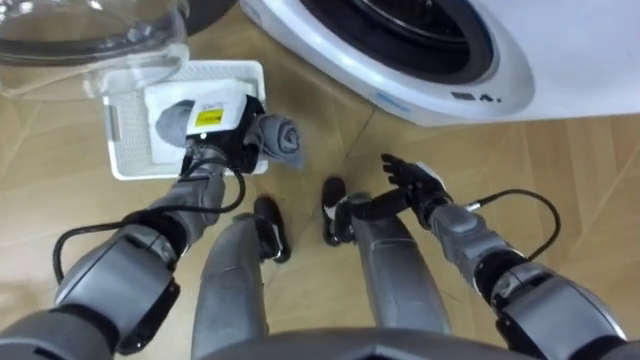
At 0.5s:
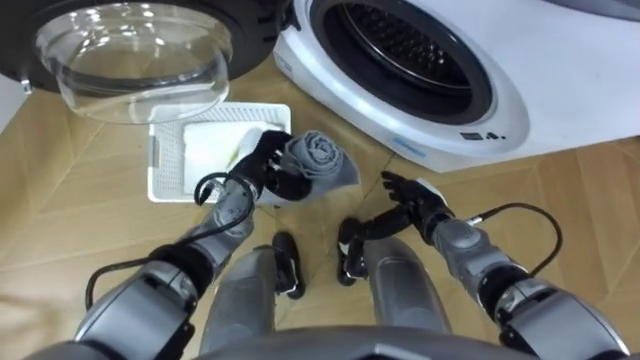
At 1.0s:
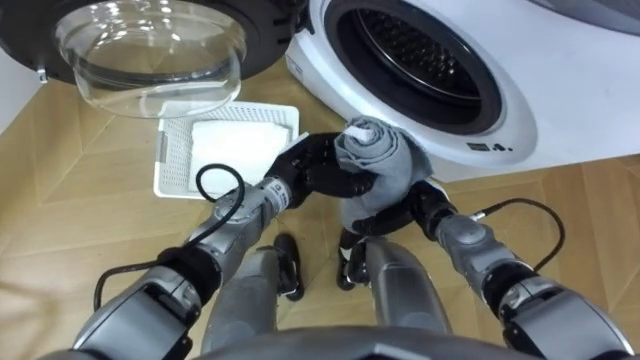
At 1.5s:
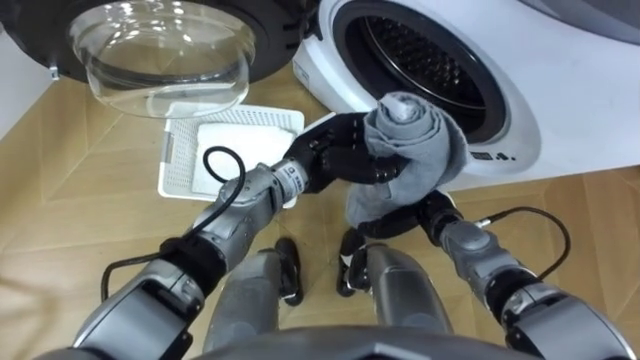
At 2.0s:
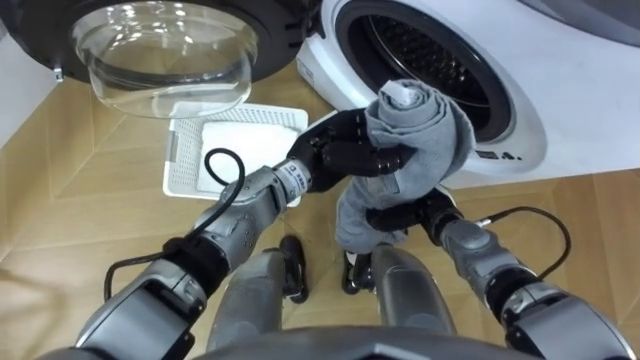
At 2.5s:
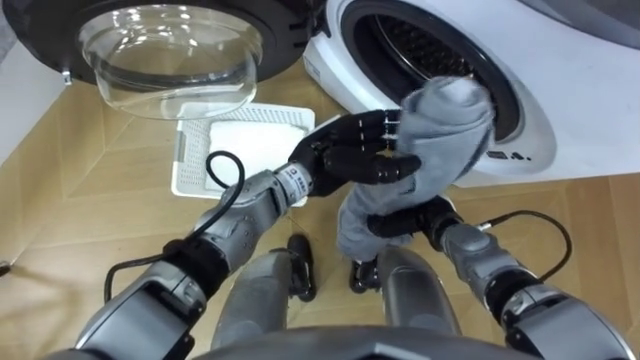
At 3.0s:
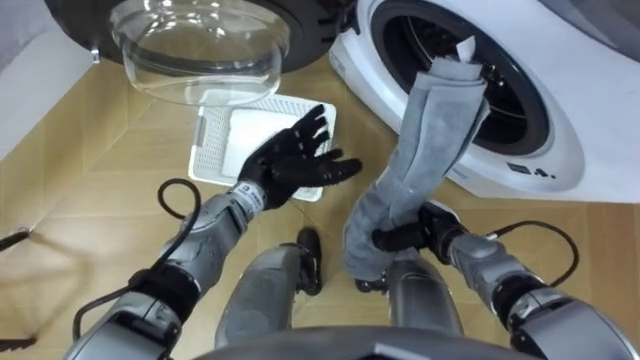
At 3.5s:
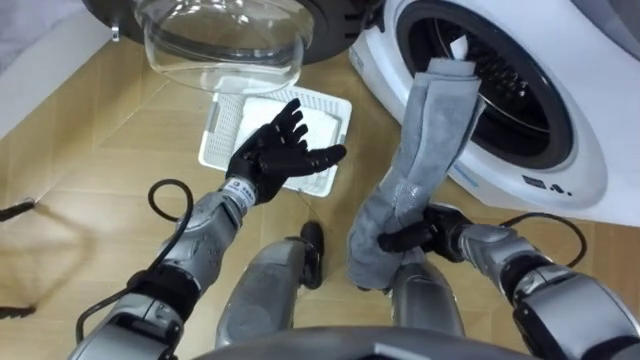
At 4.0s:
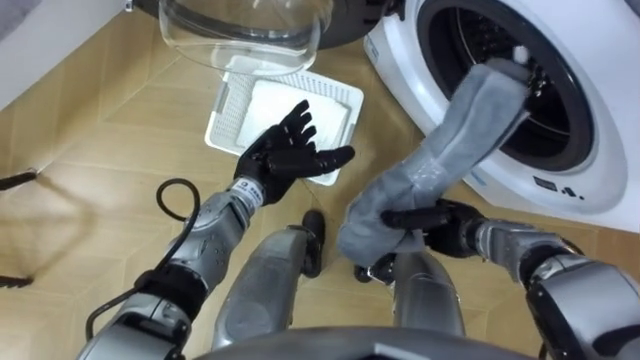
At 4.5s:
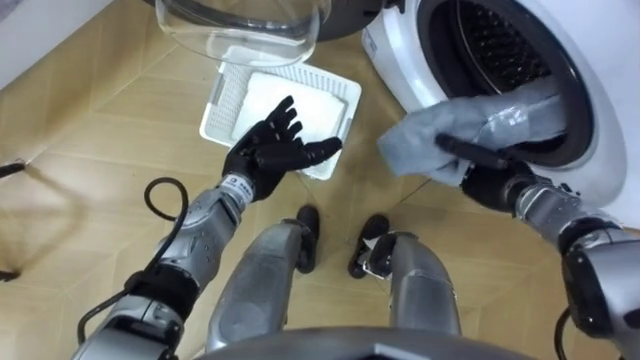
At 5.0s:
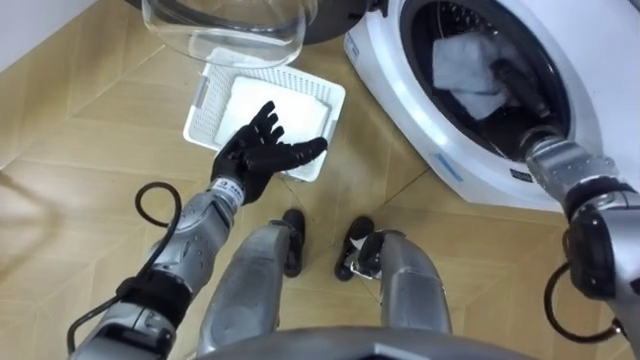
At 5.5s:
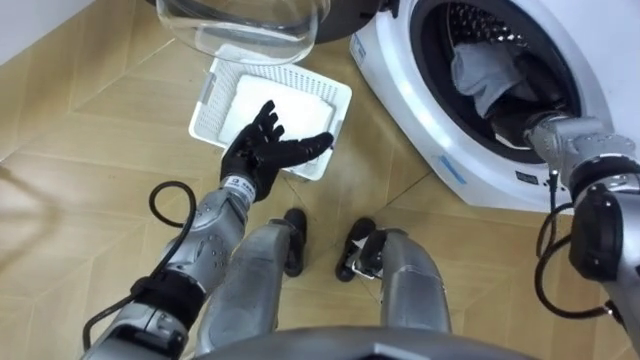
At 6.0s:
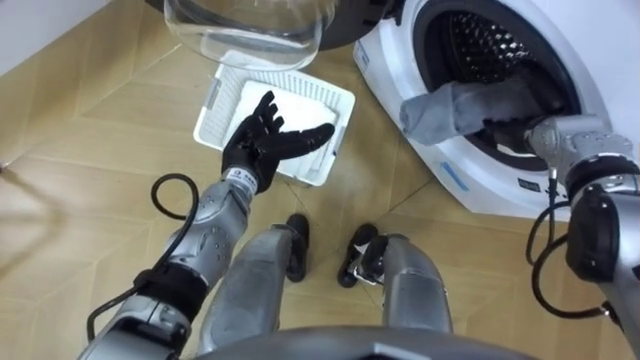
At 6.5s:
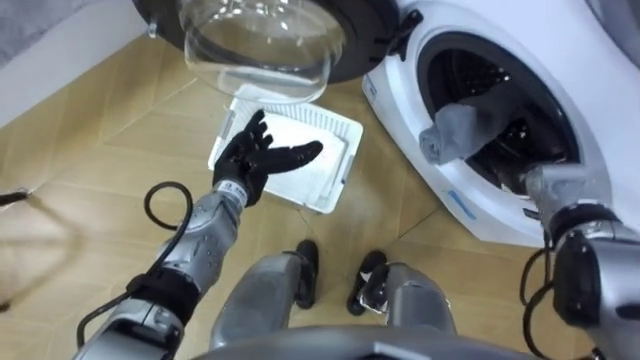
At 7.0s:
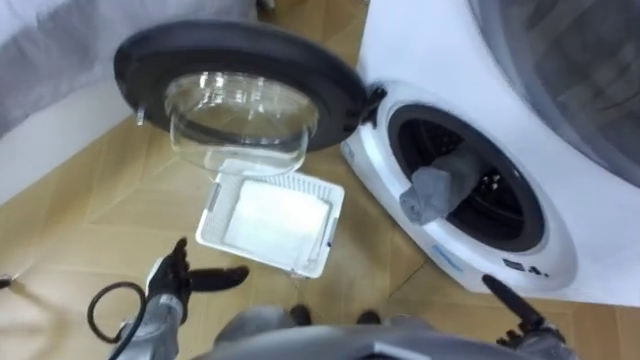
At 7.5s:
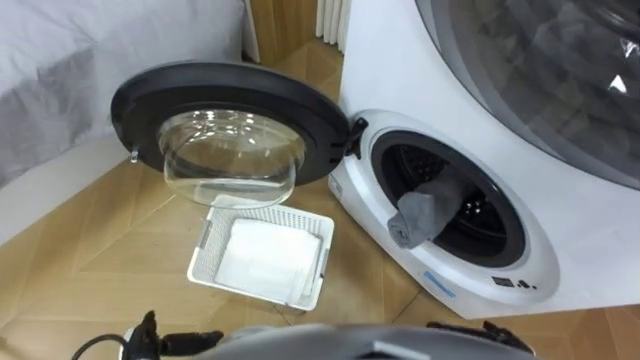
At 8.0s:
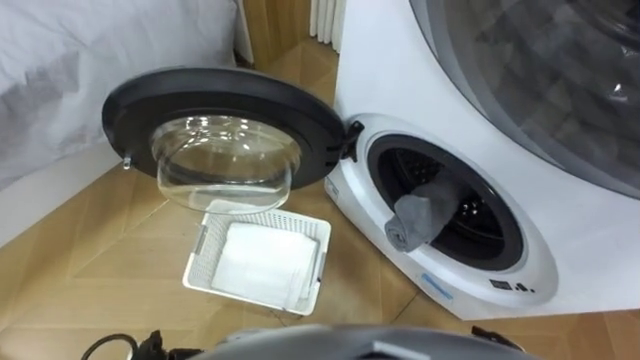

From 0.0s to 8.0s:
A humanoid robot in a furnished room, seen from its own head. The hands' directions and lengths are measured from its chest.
Task of the whole recording: Take the towel from the basket and put it into the washing machine.
From 0.0s to 2.0s: The left hand goes approximately 15 cm to the right; the right hand closes.
From 2.0s to 4.0s: The left hand goes roughly 10 cm to the left, and opens its fingers.
From 4.0s to 6.0s: The right hand travels forward, to the right and upward by approximately 20 cm, and opens.

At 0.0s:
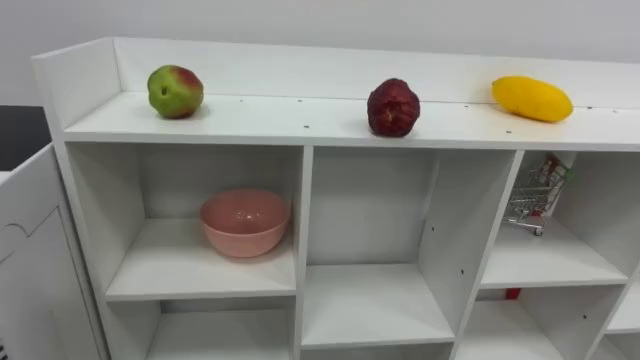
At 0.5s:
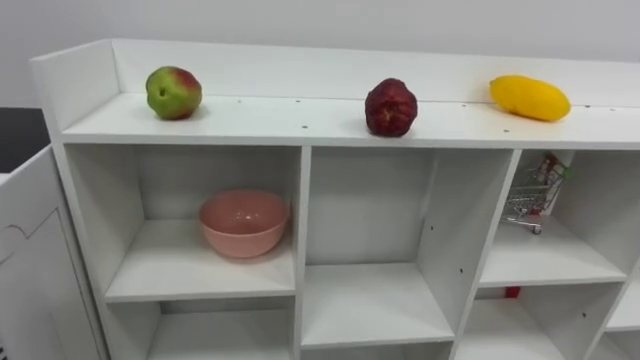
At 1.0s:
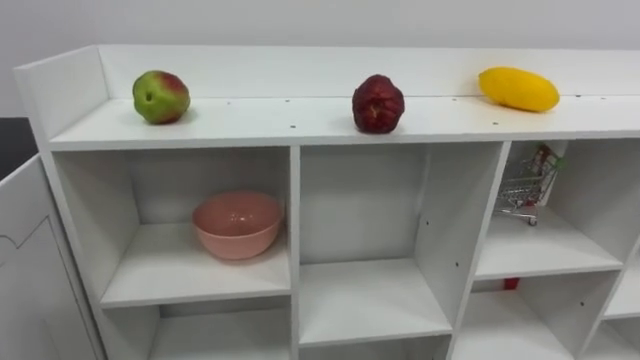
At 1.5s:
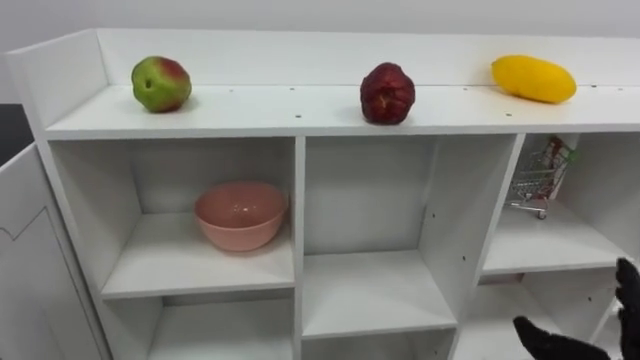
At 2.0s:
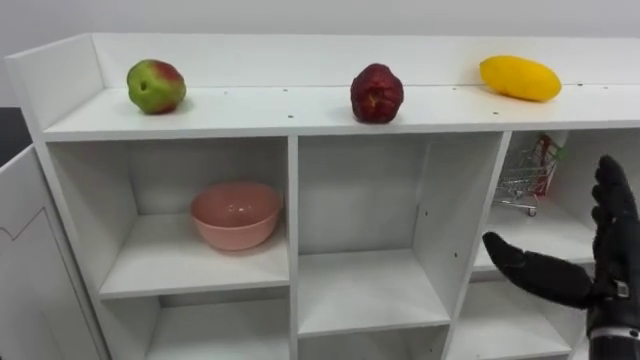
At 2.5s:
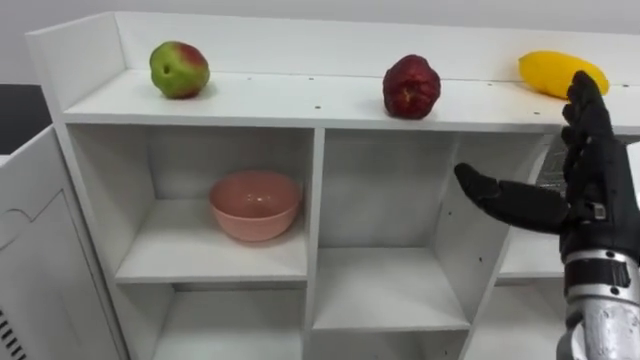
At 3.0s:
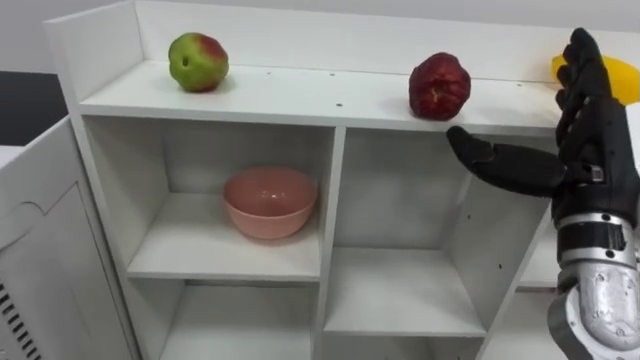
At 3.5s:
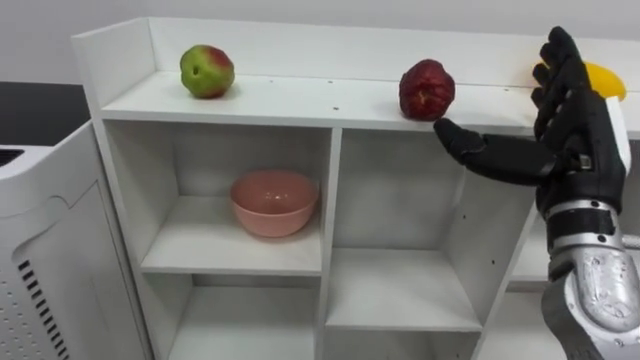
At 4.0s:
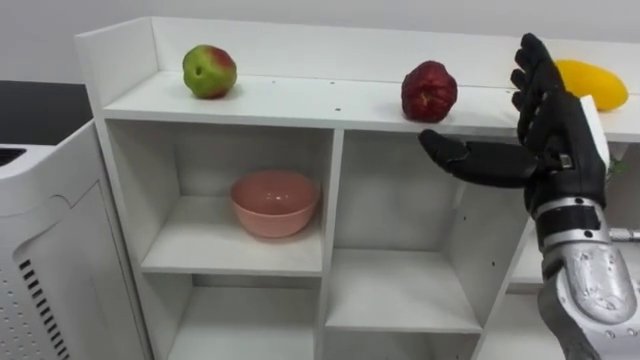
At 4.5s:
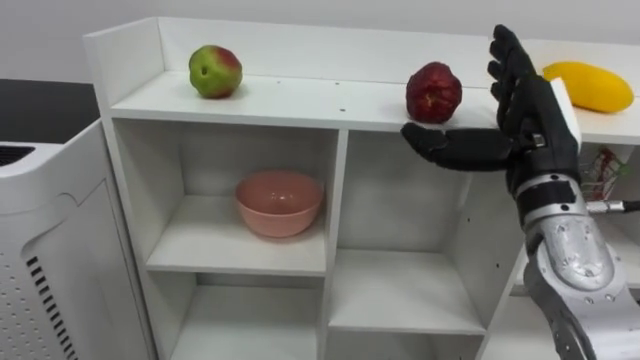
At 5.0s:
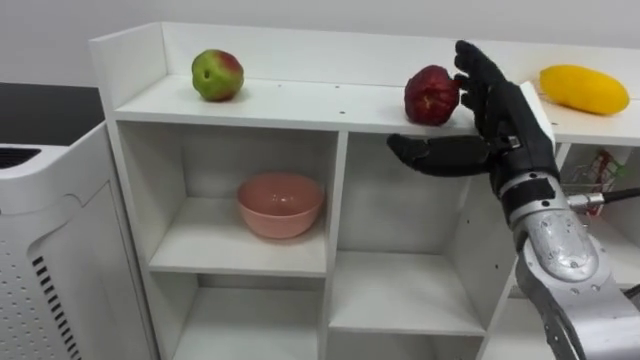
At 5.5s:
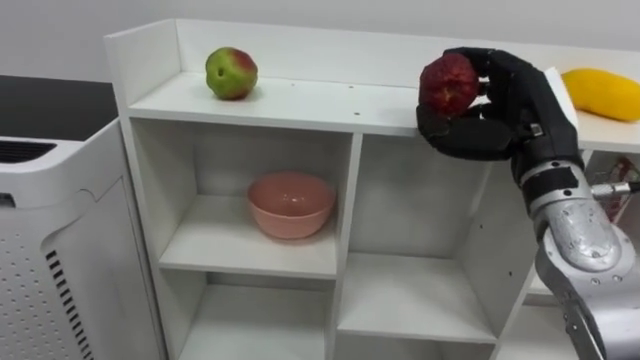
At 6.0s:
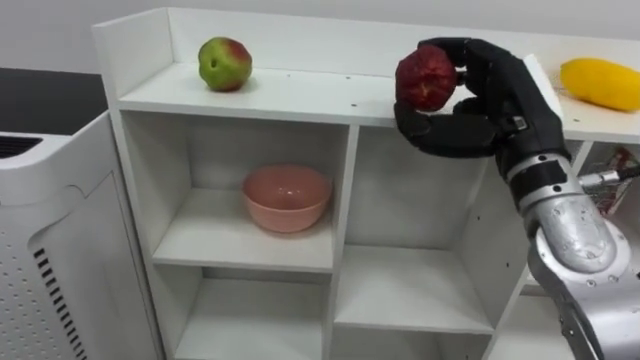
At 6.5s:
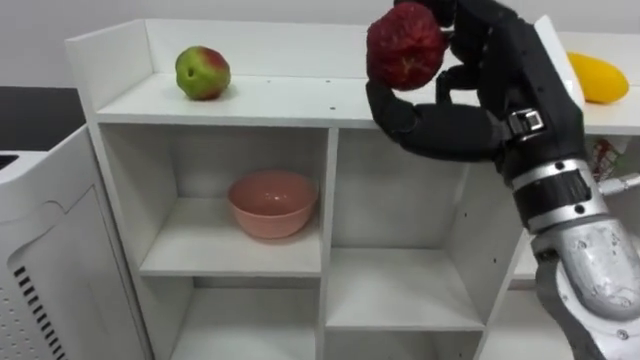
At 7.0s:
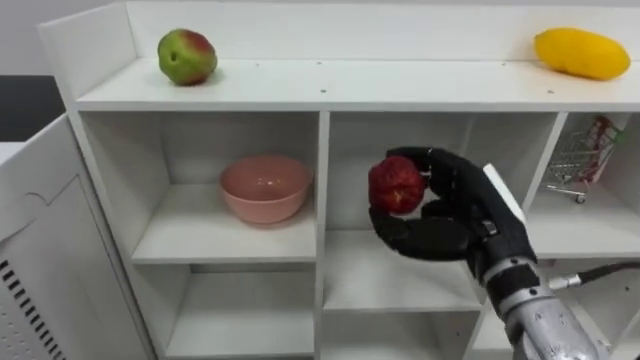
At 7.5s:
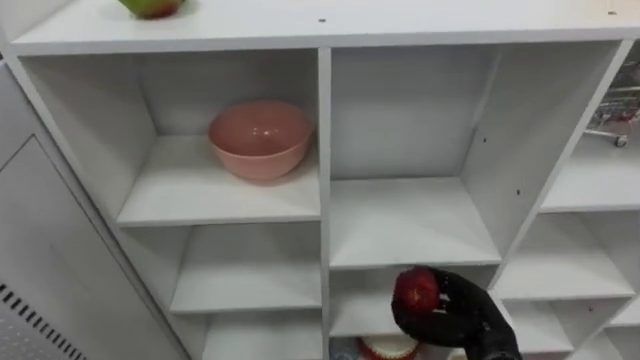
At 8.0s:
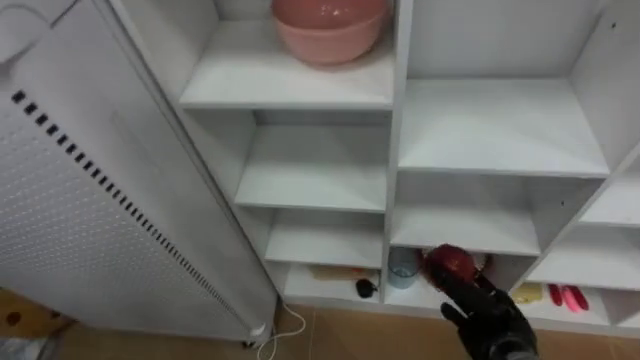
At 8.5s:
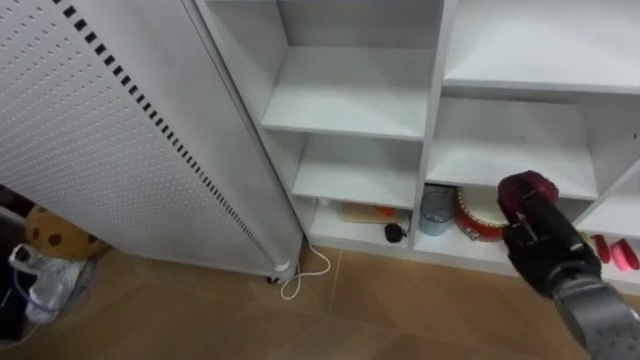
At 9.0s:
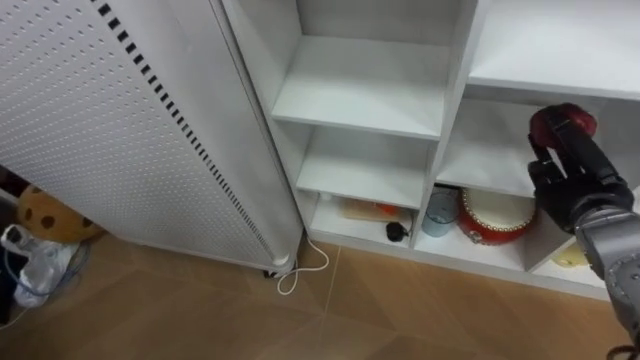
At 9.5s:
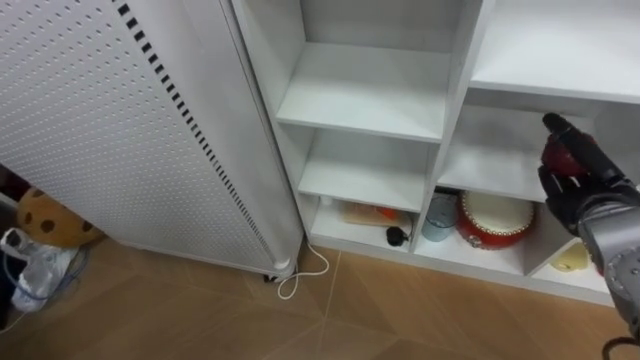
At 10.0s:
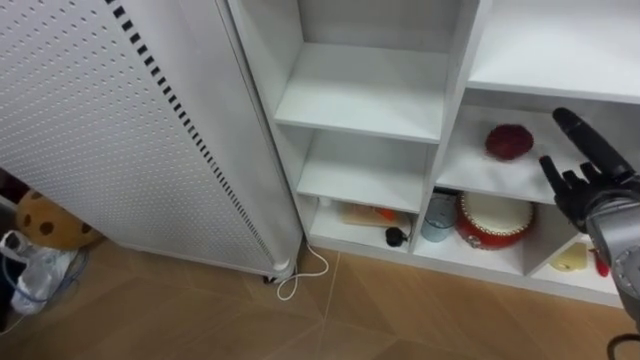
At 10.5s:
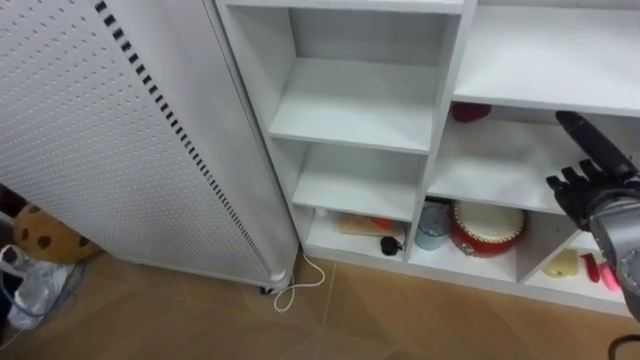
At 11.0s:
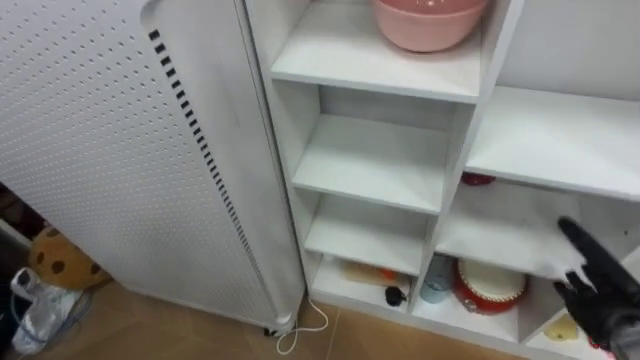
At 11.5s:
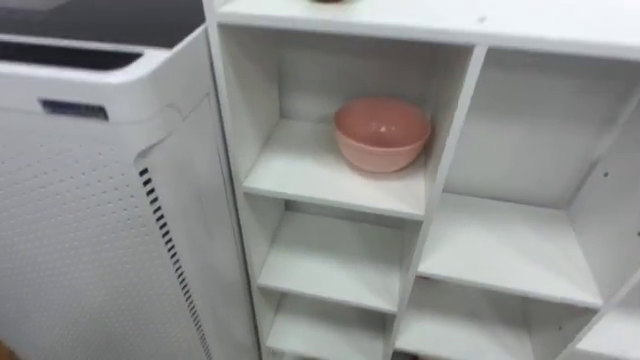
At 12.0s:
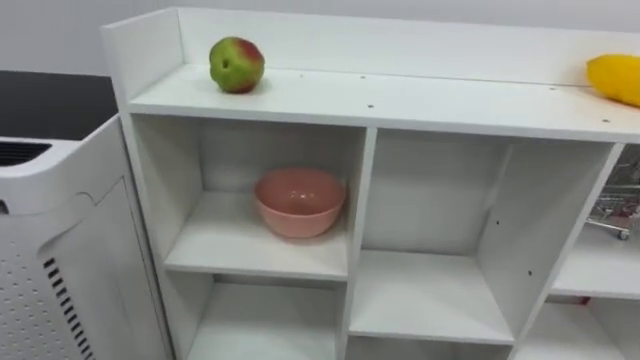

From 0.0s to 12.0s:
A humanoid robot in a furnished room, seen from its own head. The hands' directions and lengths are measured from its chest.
Task of the whole recording: Put the apple in the cell in the second column from the left and the second row from the top.
From 2.0s to 4.0s: The right hand goes roughly 15 cm upward, to the left and forward.
From 4.0s to 6.0s: The right hand shifts by approximately 5 cm, and closes up.
From 6.0s to 8.0s: The right hand shifts some 30 cm downward.
From 8.0s to 10.0s: The right hand travels upward and to the right by approximately 20 cm, and opens its fingers.
